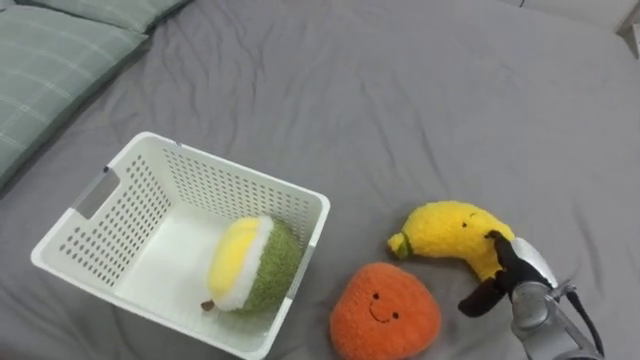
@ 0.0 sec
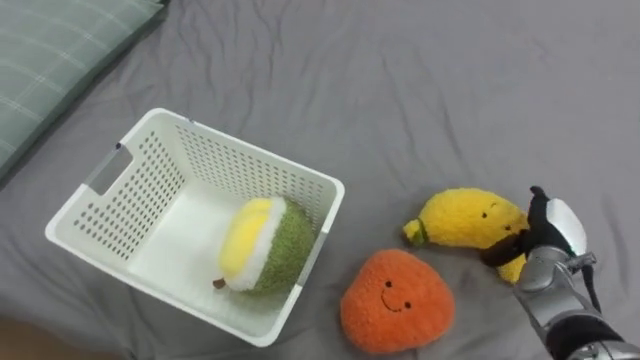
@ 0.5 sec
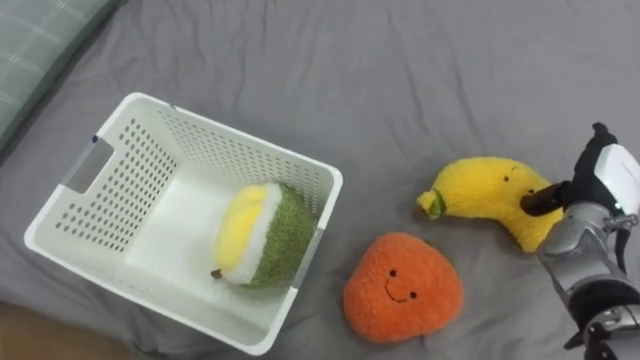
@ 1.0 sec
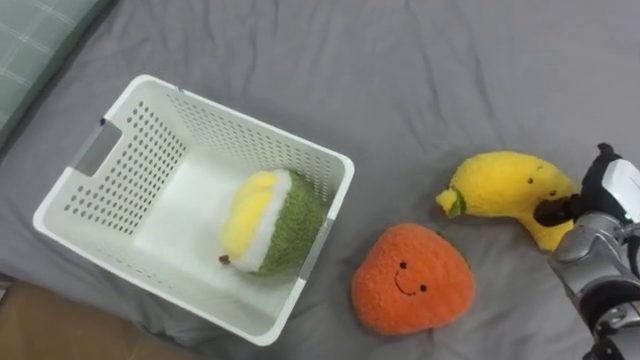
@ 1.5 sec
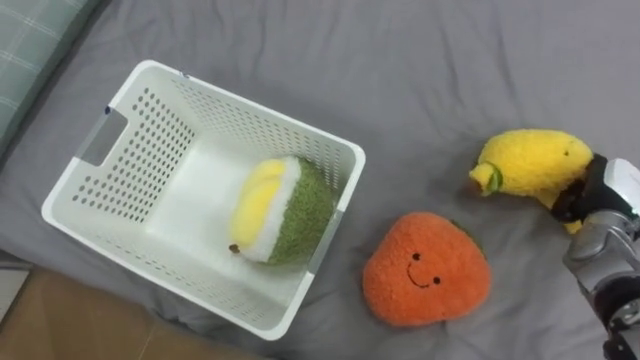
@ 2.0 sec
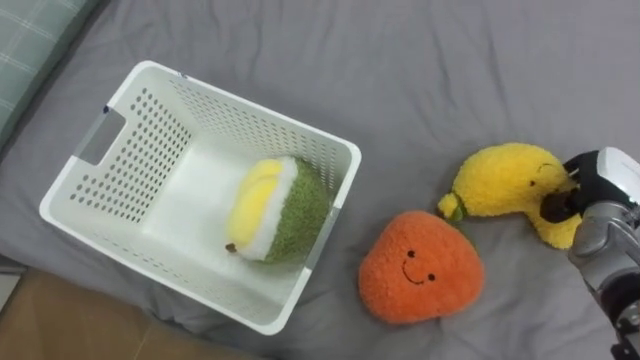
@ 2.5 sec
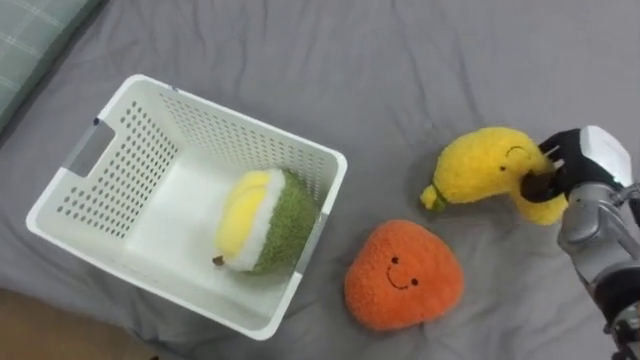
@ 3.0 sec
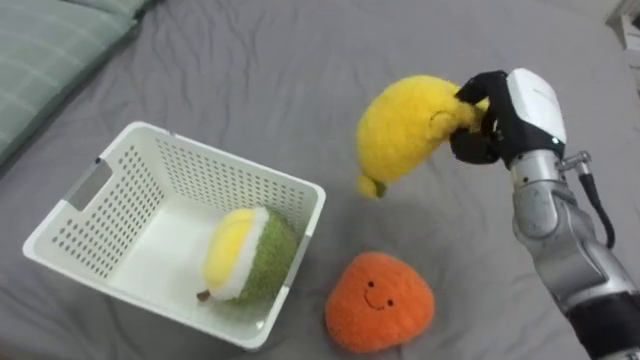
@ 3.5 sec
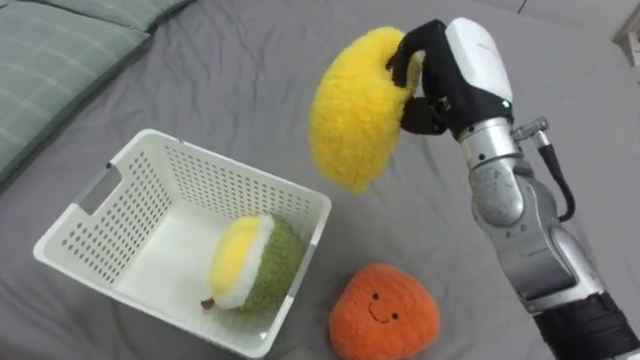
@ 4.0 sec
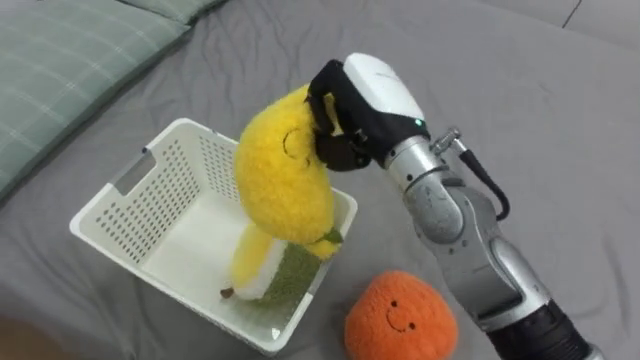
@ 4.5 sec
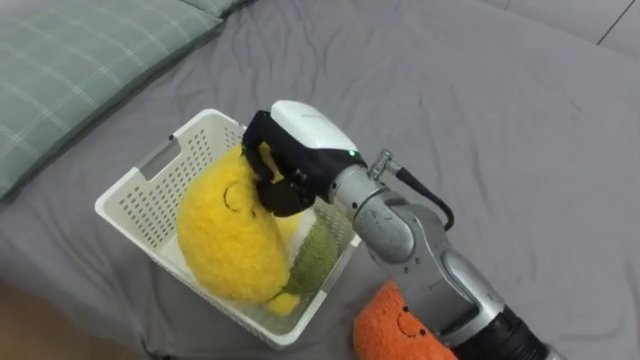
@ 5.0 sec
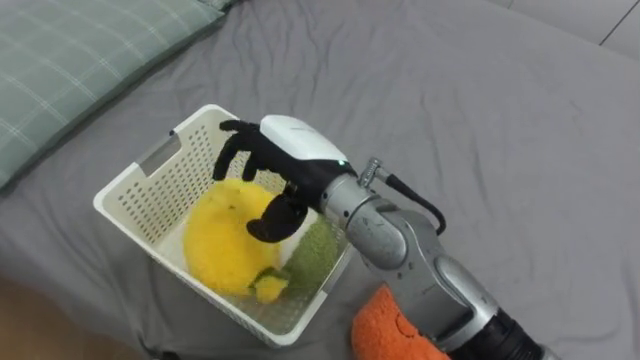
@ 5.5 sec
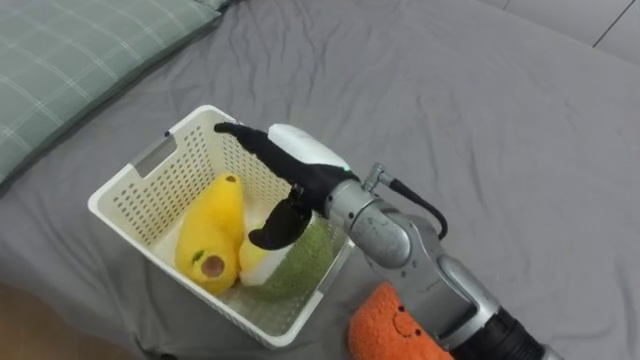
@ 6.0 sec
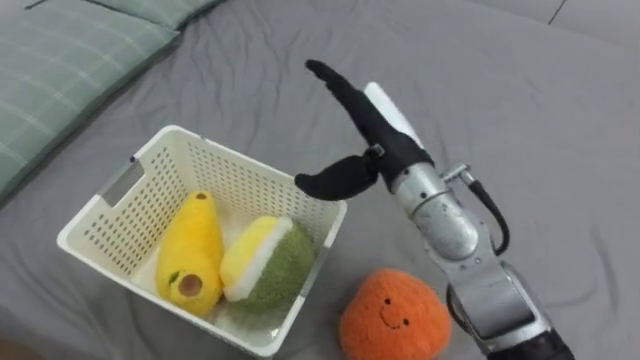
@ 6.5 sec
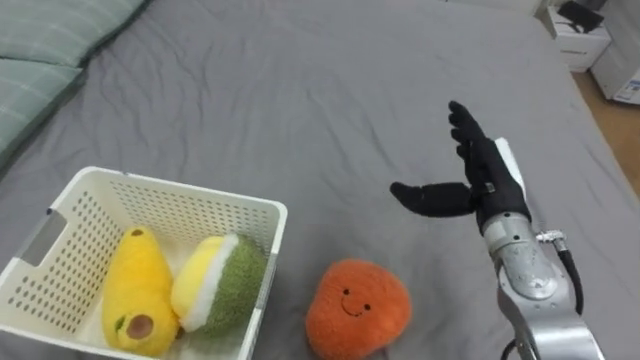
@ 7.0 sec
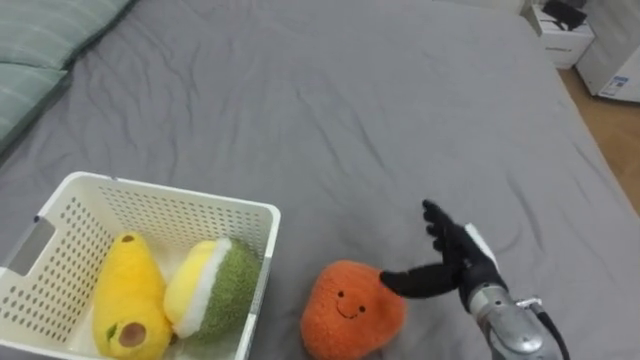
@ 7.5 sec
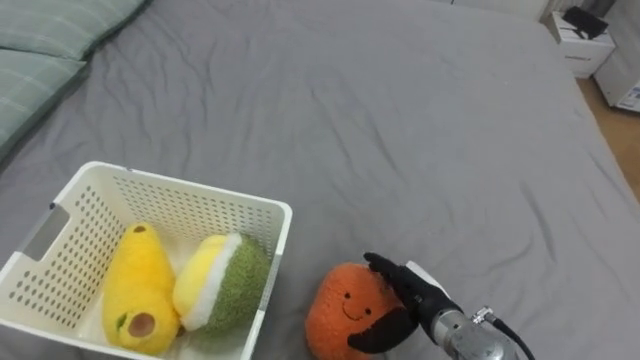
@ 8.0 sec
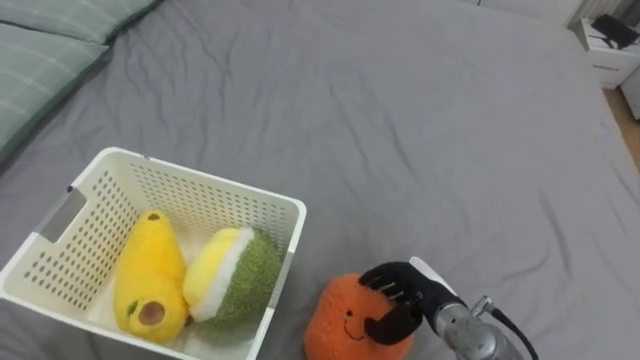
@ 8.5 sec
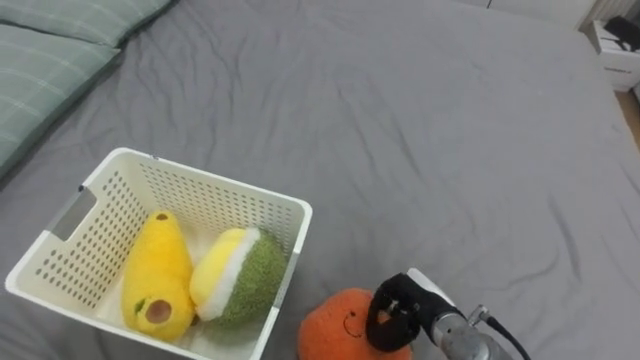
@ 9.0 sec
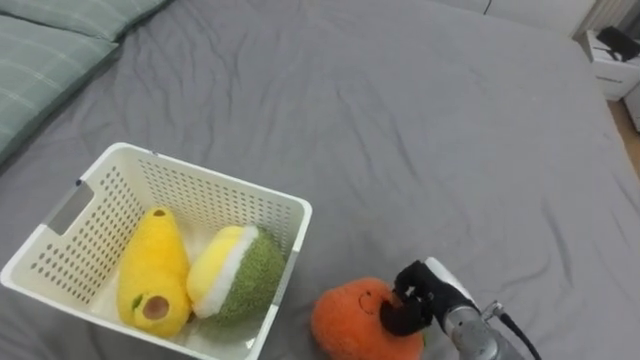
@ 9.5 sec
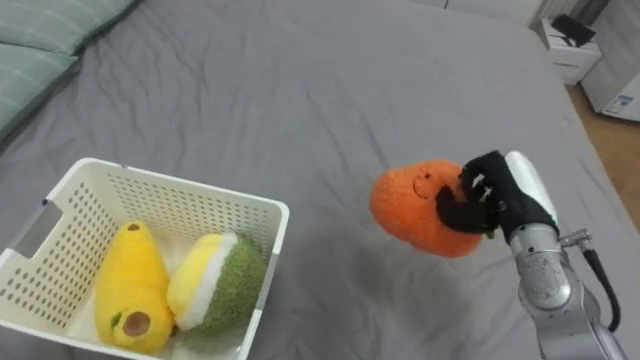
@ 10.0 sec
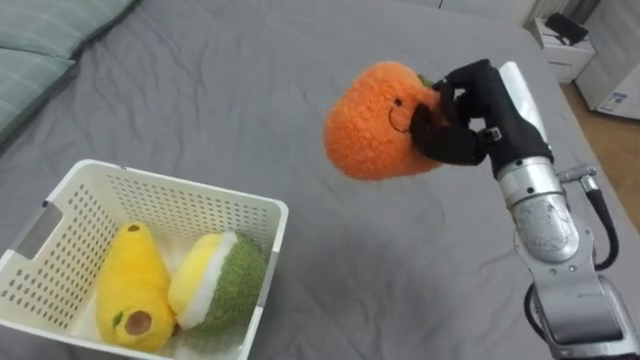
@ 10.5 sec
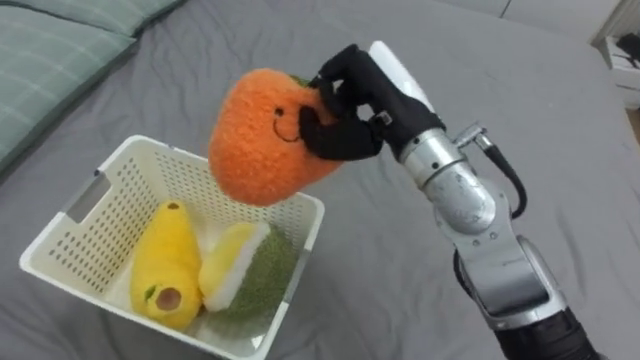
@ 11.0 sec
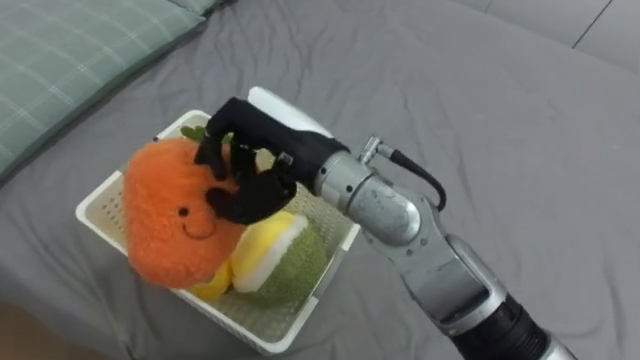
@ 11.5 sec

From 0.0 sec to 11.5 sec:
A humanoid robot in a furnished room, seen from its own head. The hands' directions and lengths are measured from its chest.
Task of the whole recording: Put the toys on the bed into the basket on the left.
From 0.0 sec to 2.0 sec: The right hand travels upward, to the right and forward by roughly 15 cm.
From 2.0 sec to 4.0 sec: The right hand heads to the left and upward, covering roughly 30 cm, and closes its fingers.
From 4.0 sec to 6.0 sec: The right hand heads to the left, covering about 15 cm, and opens.
From 6.0 sec to 7.5 sec: The right hand travels to the right and downward by approximately 25 cm.
From 7.5 sec to 9.5 sec: The right hand shifts about 5 cm downward, and closes up.
From 9.5 sec to 11.5 sec: The right hand is displaced upward and to the left by some 35 cm.

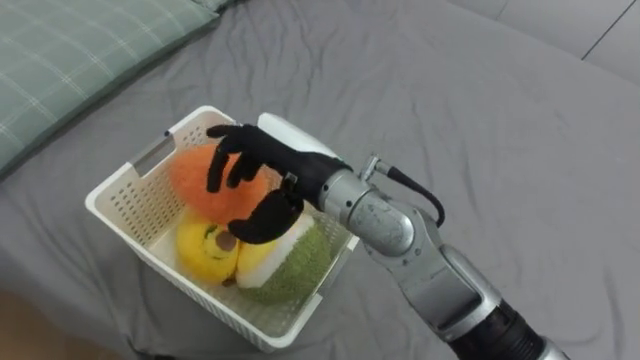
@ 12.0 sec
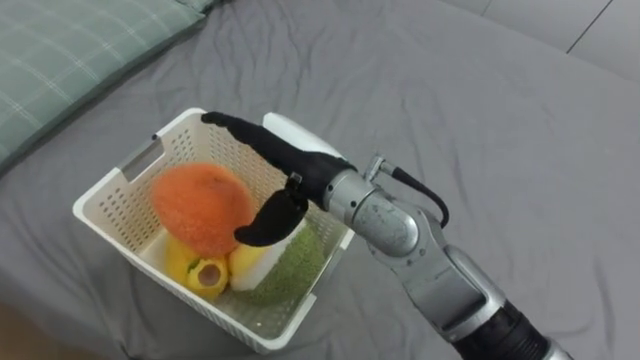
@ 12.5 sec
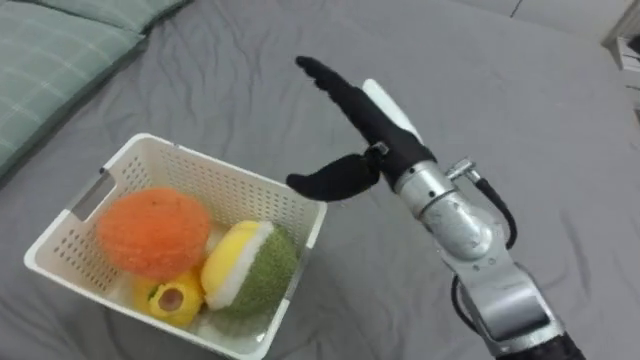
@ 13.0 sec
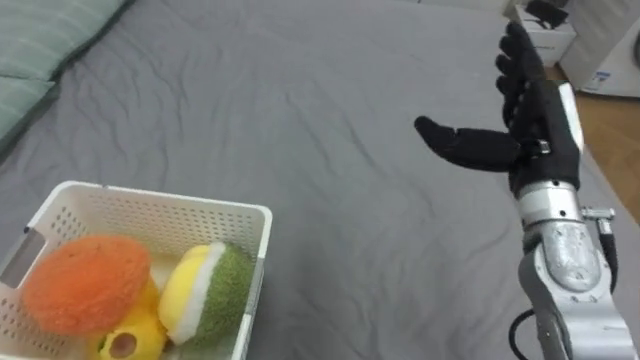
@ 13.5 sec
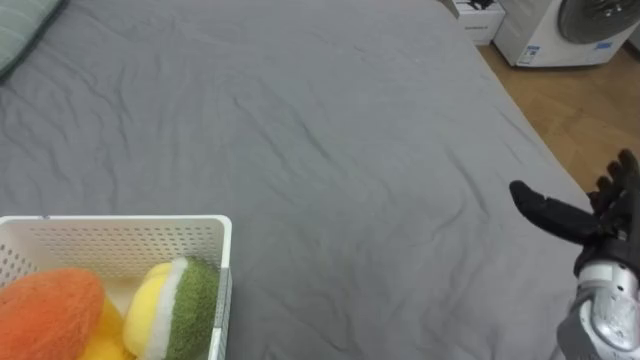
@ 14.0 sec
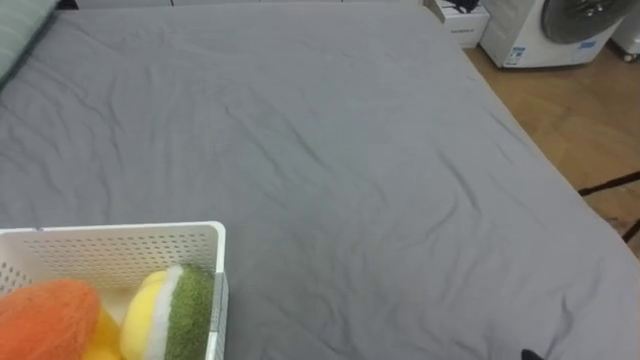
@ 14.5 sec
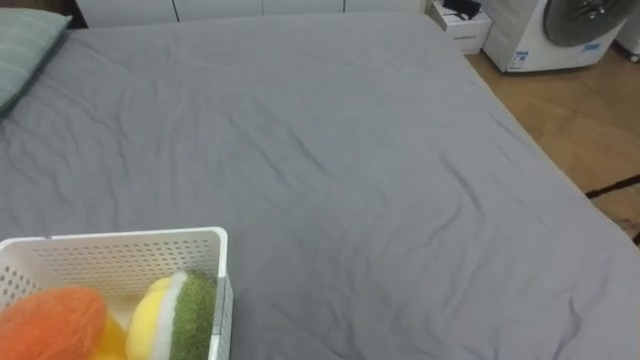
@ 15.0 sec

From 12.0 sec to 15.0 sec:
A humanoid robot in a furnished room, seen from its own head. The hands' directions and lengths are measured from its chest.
Task of the whole recording: Put the toys on the bed into the basket on the left.
From 12.0 sec to 13.5 sec: The right hand is displaced to the right by some 25 cm.

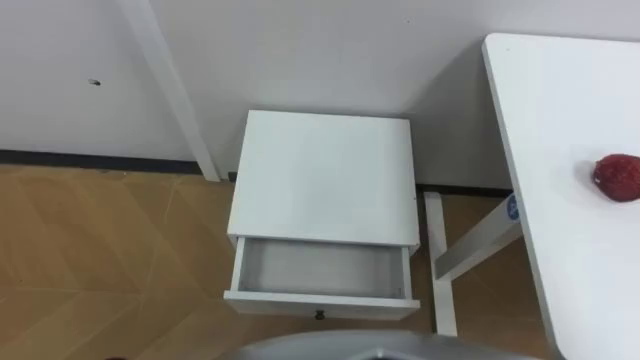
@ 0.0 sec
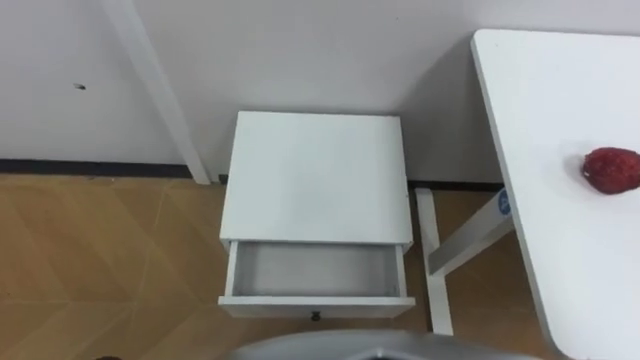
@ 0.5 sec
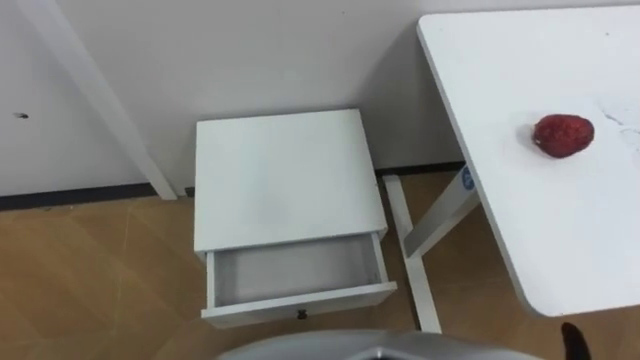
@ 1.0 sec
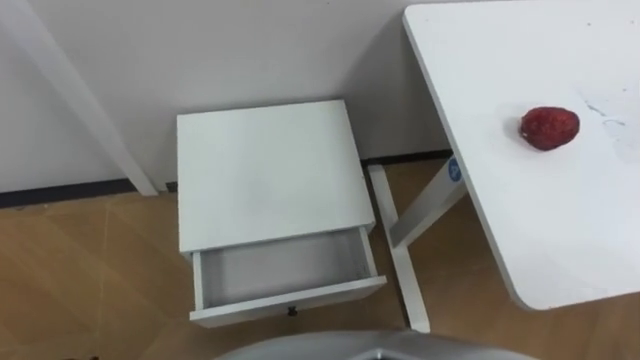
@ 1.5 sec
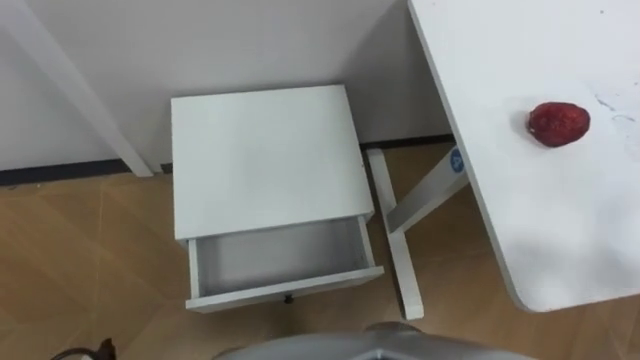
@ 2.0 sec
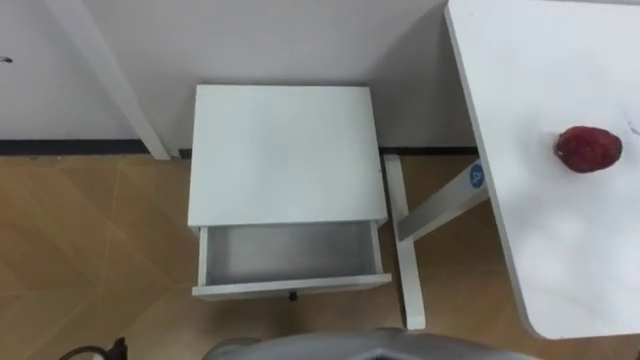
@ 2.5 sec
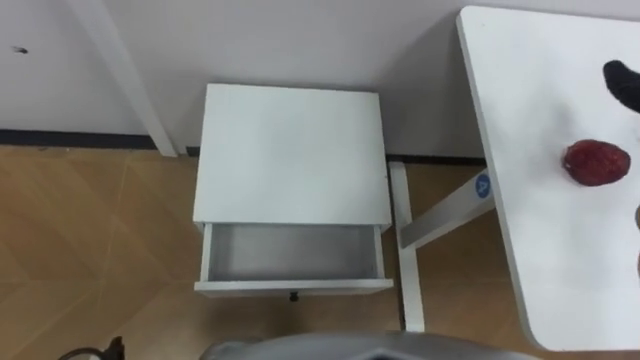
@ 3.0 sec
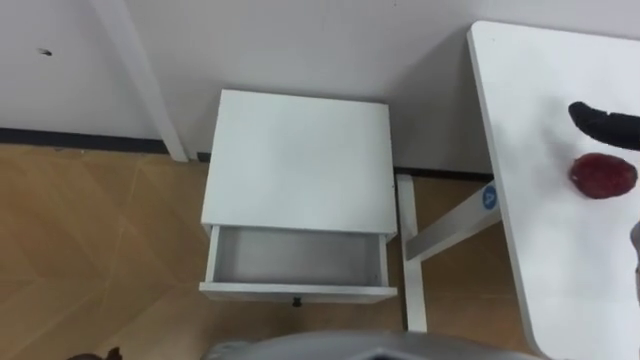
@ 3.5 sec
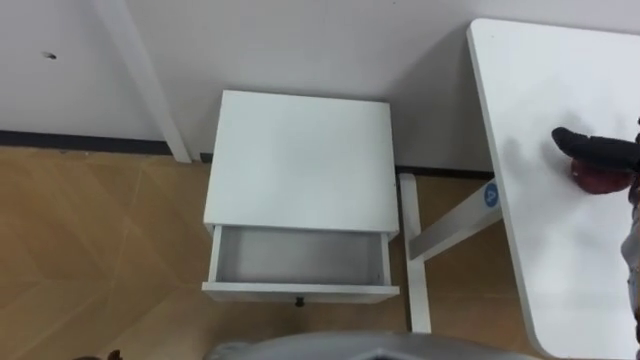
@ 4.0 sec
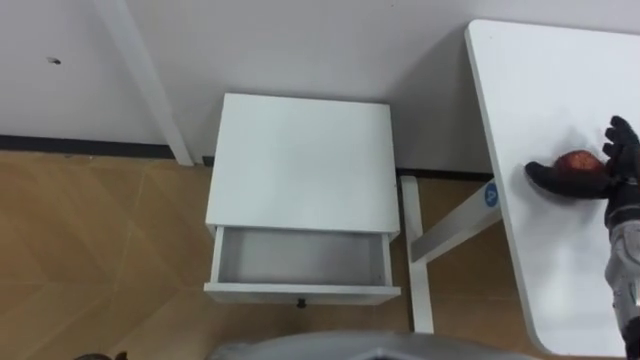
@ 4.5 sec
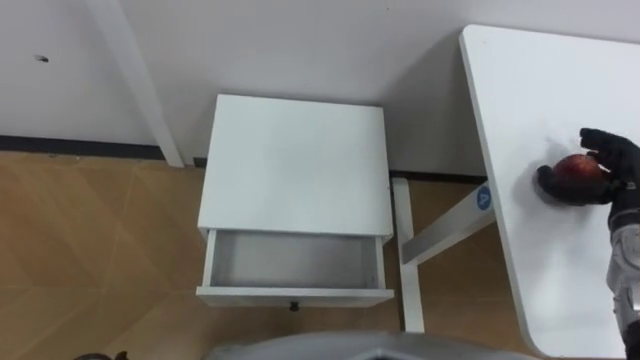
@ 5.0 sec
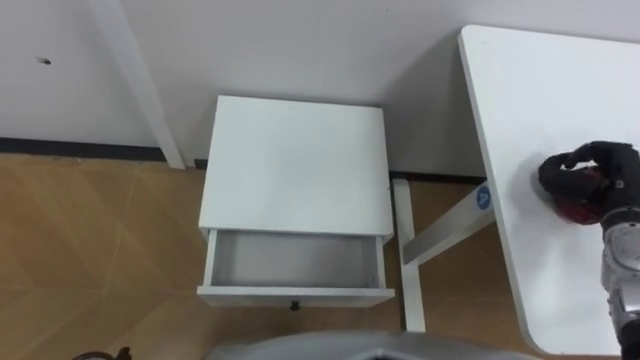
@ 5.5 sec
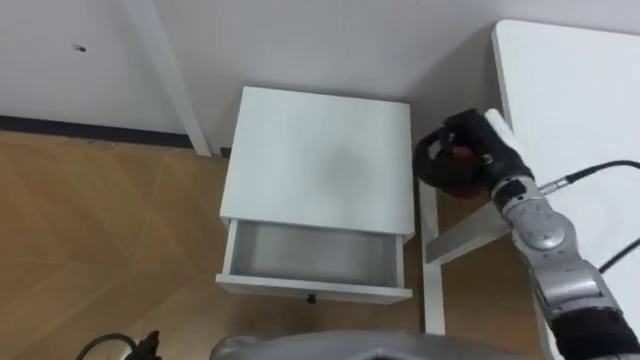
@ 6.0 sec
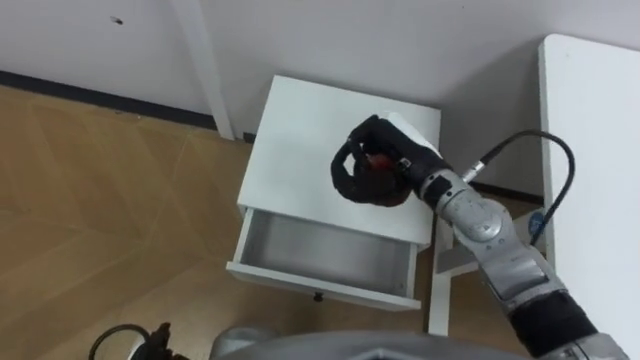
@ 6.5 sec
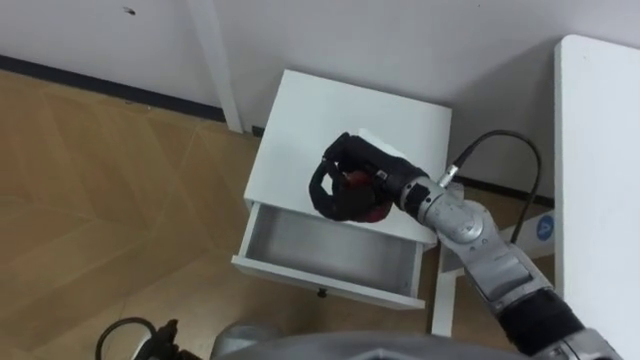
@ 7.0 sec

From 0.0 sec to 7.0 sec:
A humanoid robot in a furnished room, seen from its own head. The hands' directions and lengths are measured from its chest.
Task of the whole recording: Pick up the apple from the table, put it in the drawer, and close the drawer with leg.
From 5.0 sec to 7.0 sec: The right hand goes roughly 30 cm to the left, and closes.
